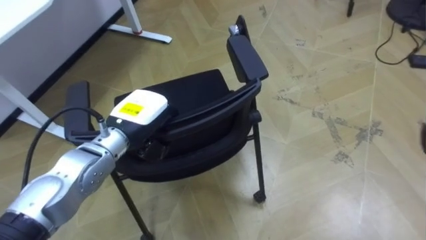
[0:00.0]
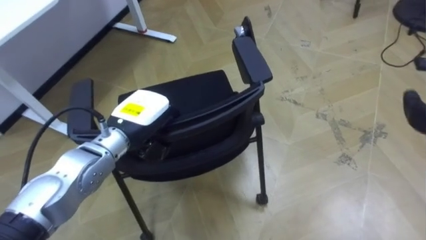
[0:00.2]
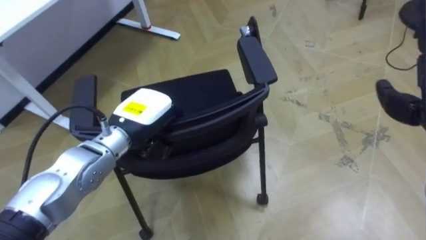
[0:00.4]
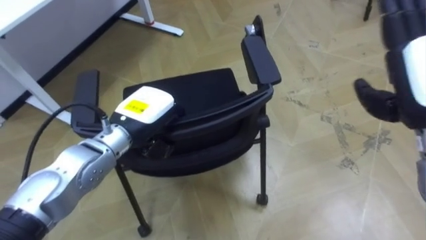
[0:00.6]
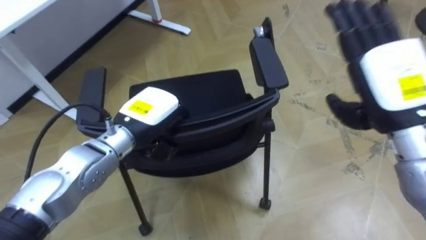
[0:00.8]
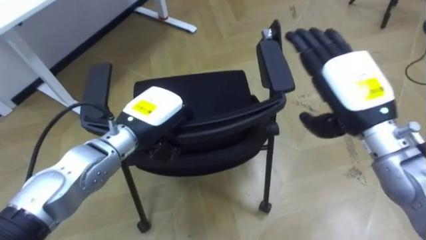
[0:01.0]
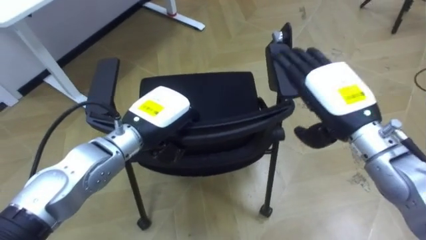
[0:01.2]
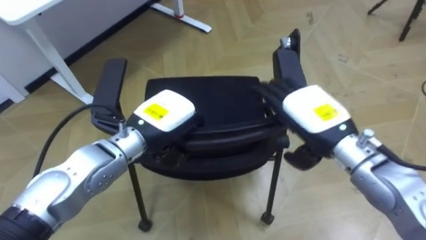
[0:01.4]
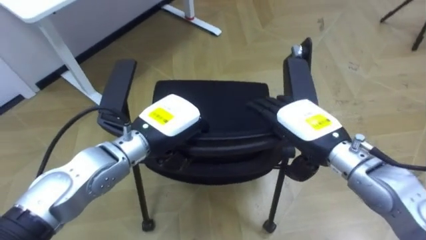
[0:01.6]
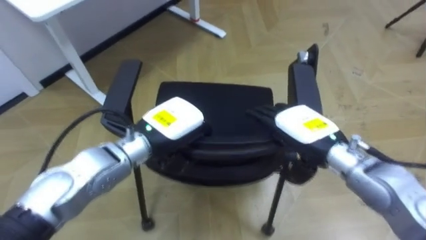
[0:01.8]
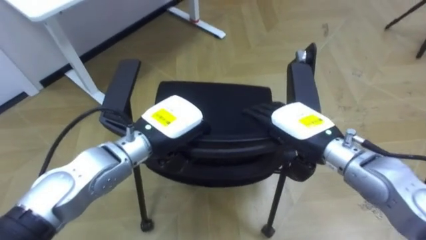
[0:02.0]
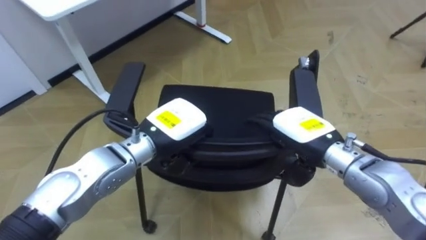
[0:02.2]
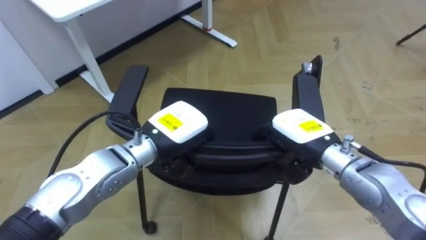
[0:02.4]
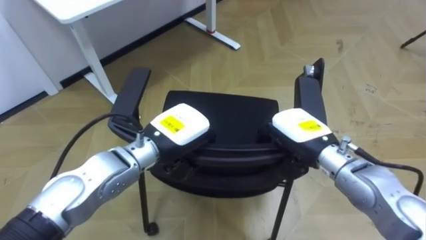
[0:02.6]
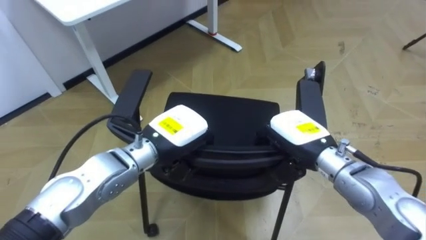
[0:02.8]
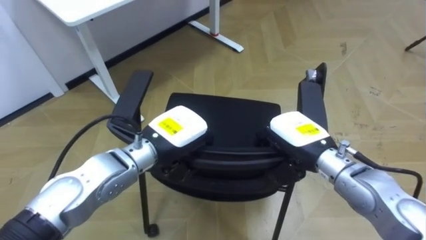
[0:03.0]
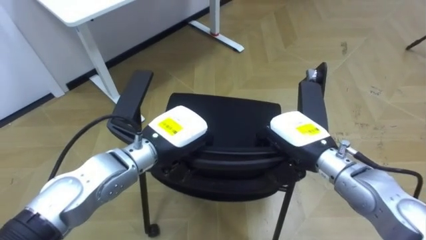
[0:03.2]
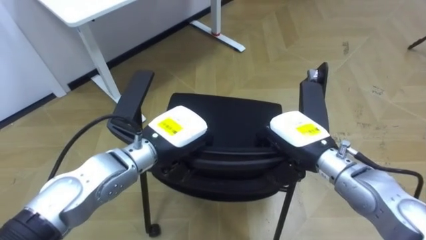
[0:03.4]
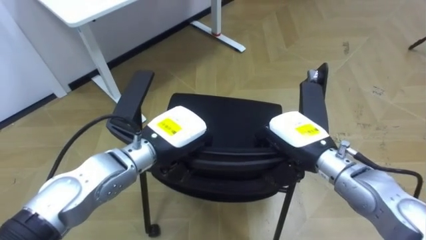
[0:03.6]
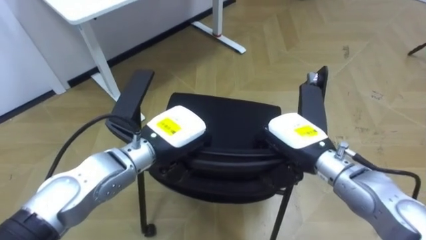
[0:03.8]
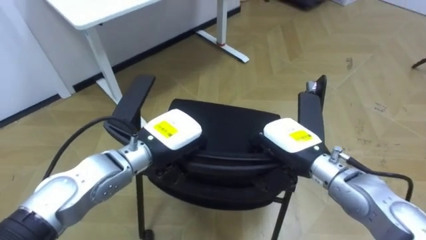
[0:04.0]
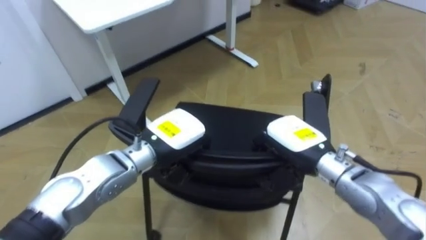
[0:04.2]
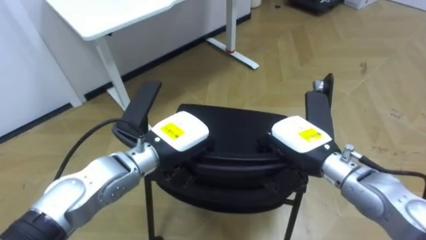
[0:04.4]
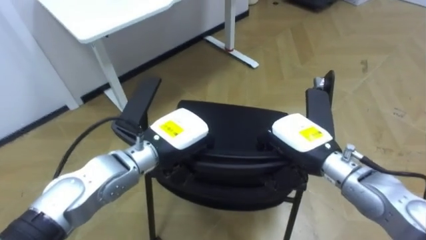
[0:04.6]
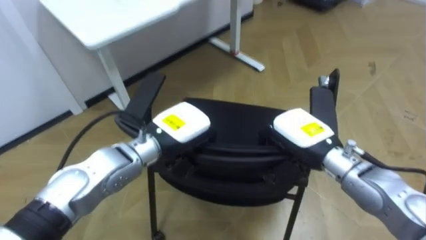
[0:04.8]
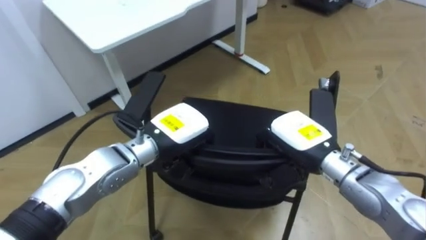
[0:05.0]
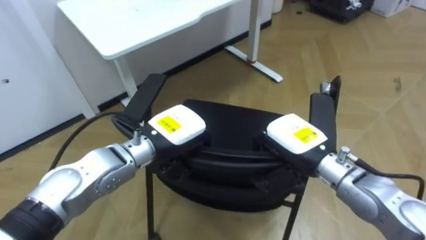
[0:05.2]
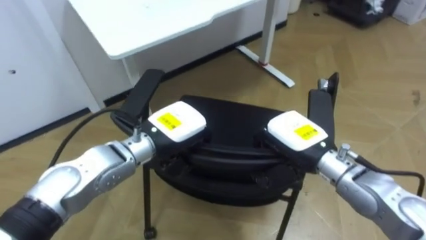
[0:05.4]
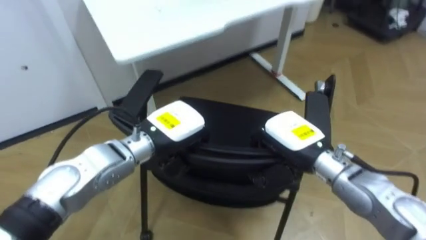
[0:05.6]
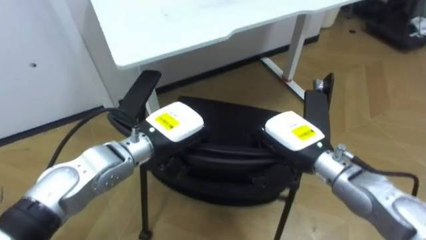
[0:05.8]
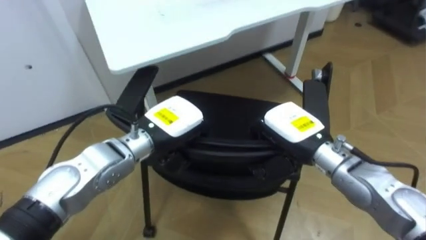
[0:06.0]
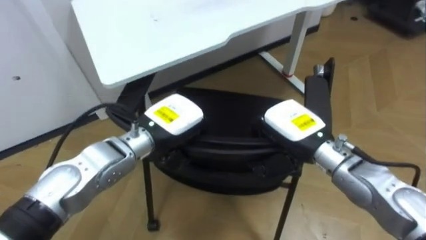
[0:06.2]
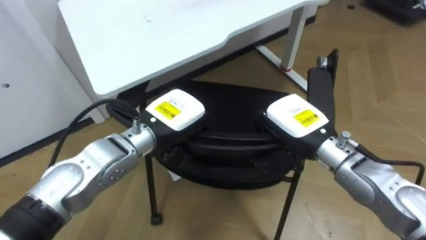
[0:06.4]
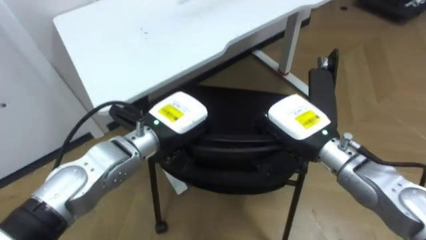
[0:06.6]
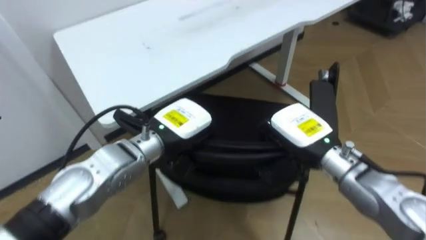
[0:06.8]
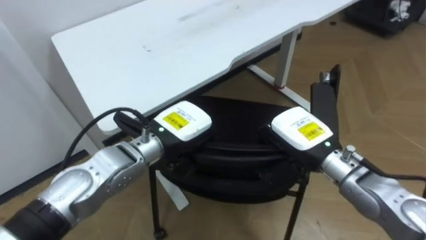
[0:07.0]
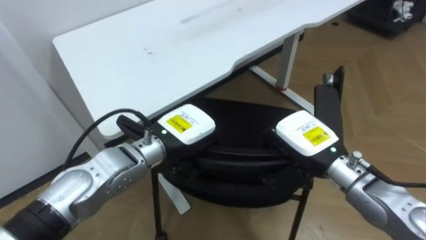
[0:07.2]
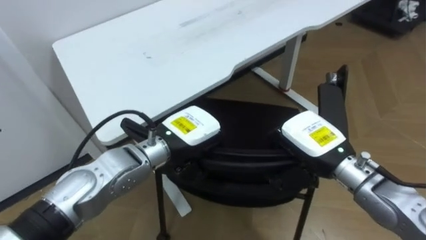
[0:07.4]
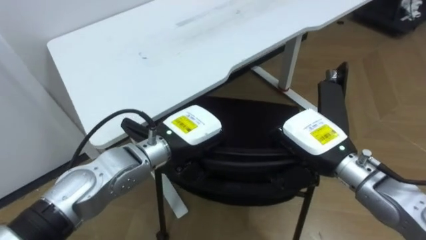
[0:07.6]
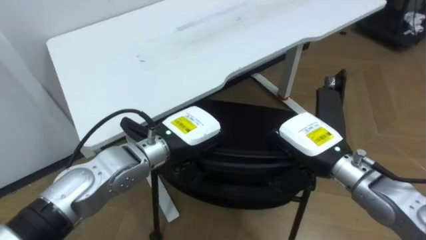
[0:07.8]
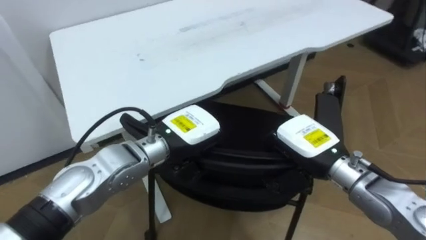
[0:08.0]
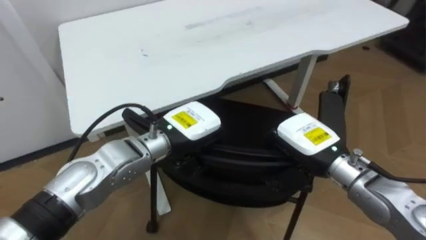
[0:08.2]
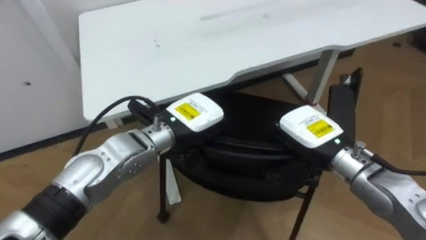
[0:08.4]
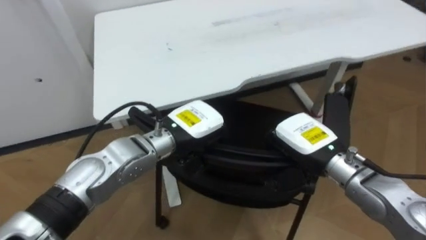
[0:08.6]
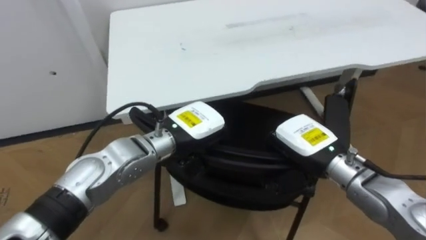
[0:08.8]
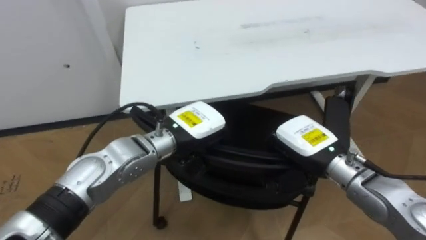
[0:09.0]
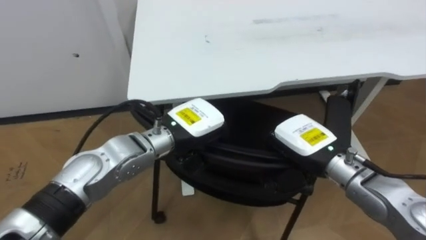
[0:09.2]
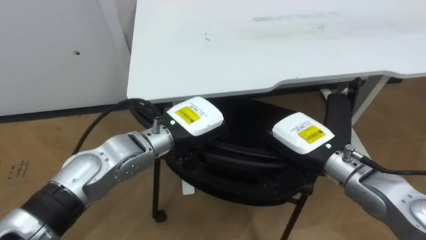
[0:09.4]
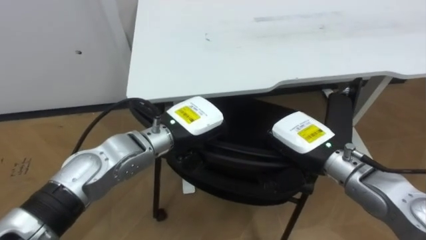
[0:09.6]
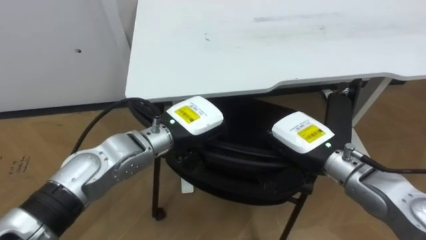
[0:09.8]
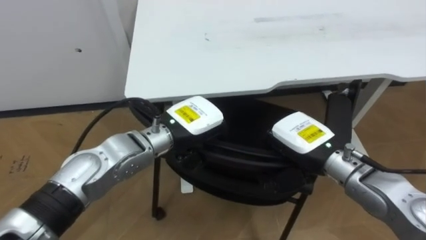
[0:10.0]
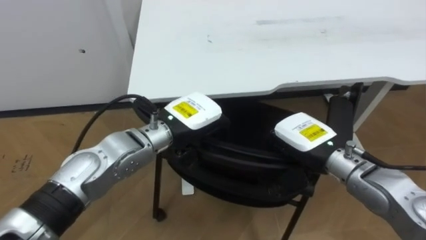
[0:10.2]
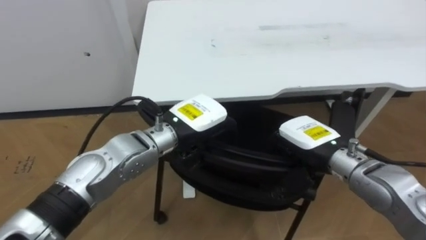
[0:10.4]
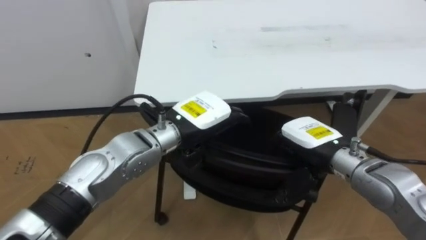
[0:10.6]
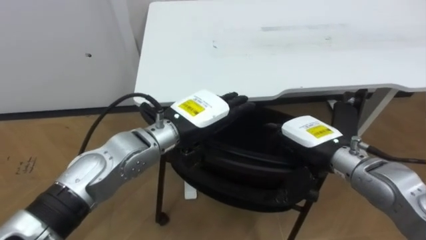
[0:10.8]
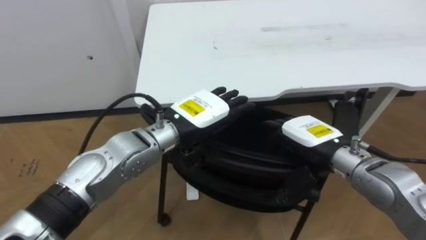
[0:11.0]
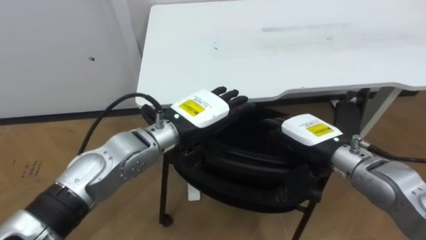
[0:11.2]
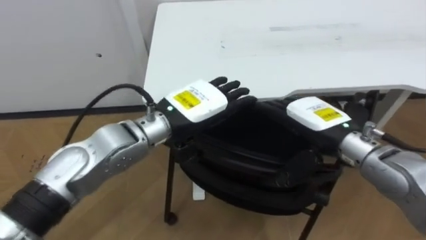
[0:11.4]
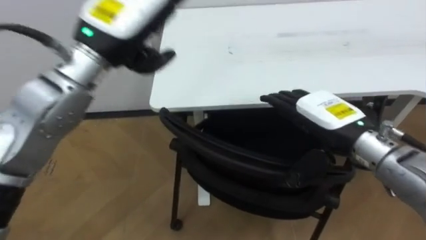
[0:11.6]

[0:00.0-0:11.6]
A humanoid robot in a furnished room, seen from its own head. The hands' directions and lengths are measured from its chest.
Task of the whole recording: Push the chair under the table.
0:01.4 to 0:02.8: The right hand heads downward, covering about 5 cm, and closes its fingers.
0:07.2 to 0:08.8: The robot faces roughly 20 degrees further to its left.
0:10.2 to 0:11.6: The left hand goes approximately 15 cm upward, and opens; the right hand changes place by roughly 5 cm, and opens.

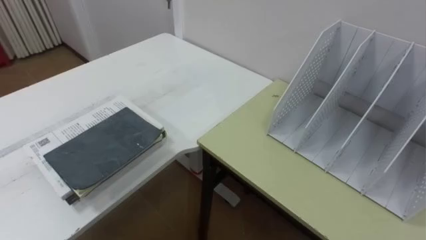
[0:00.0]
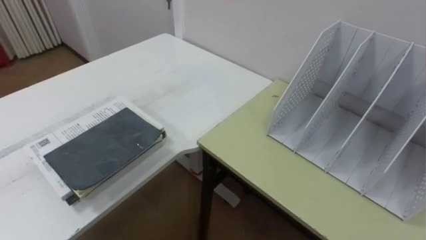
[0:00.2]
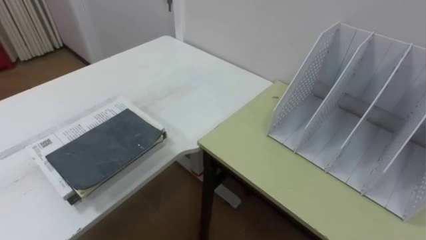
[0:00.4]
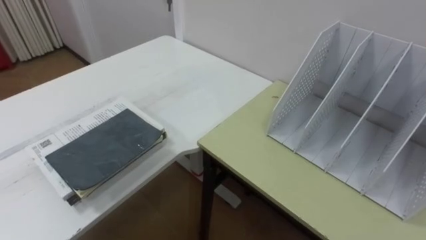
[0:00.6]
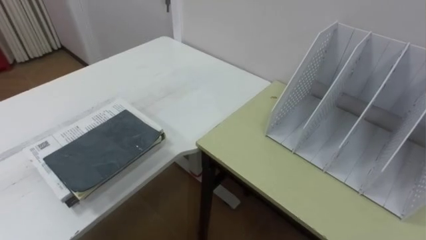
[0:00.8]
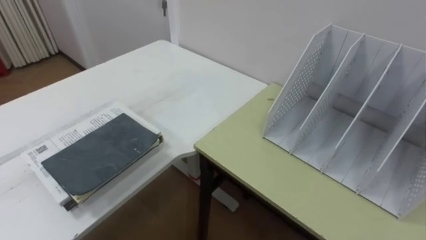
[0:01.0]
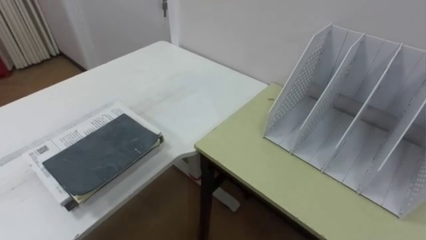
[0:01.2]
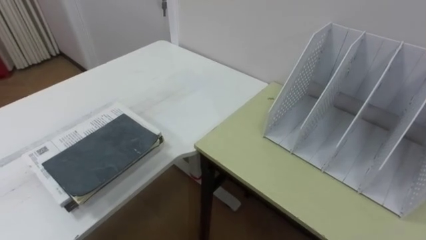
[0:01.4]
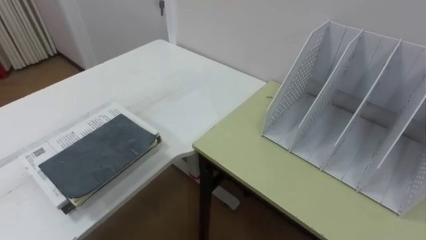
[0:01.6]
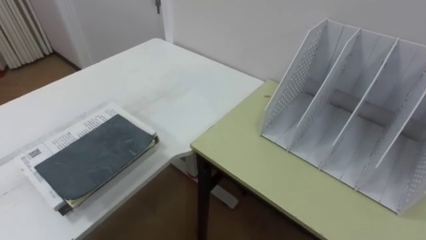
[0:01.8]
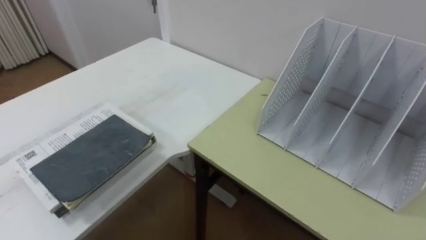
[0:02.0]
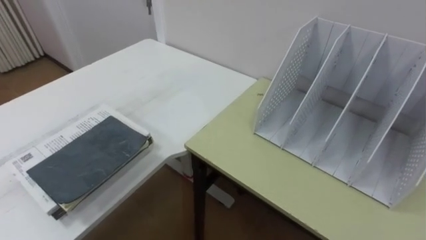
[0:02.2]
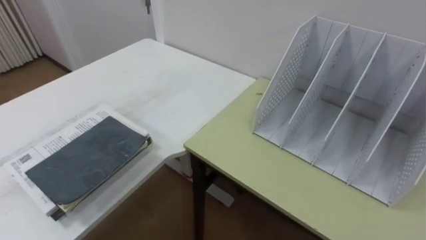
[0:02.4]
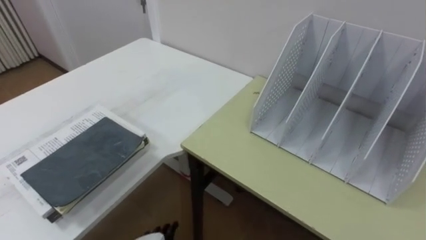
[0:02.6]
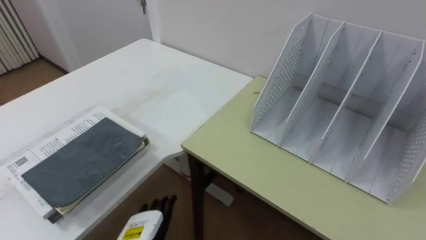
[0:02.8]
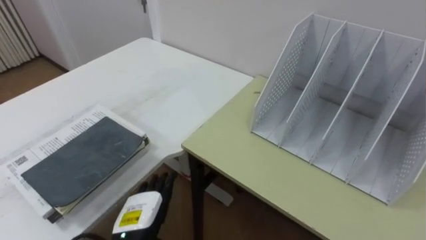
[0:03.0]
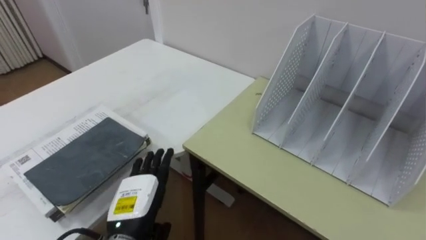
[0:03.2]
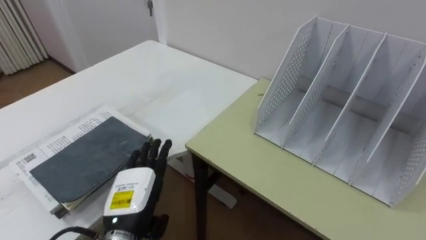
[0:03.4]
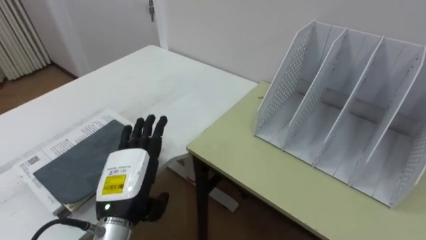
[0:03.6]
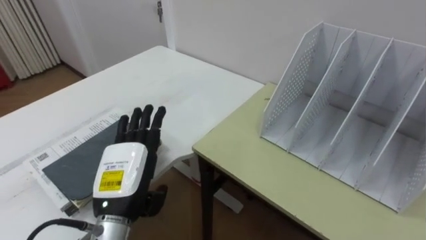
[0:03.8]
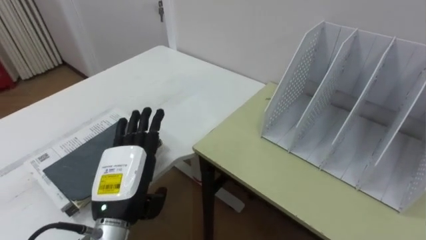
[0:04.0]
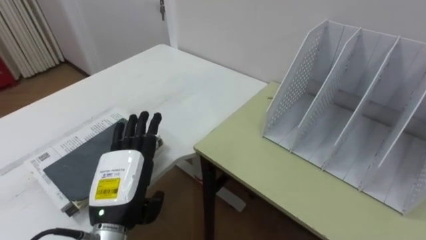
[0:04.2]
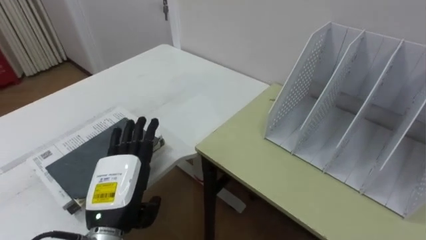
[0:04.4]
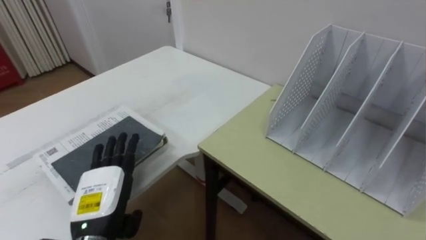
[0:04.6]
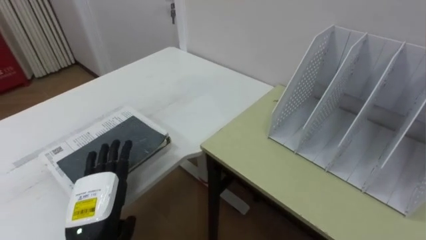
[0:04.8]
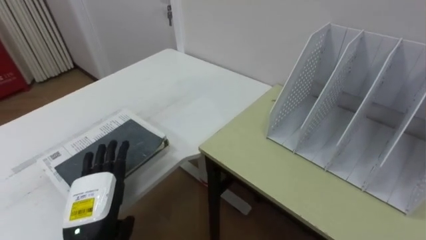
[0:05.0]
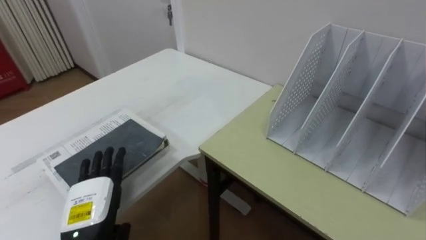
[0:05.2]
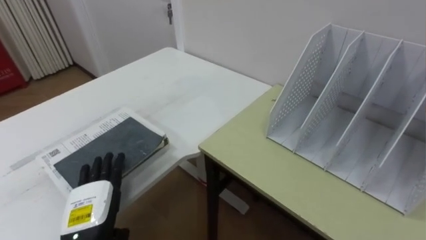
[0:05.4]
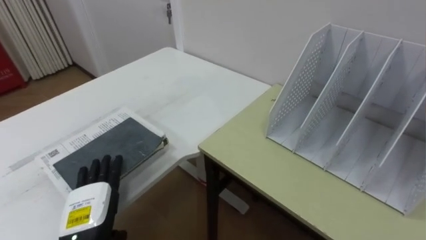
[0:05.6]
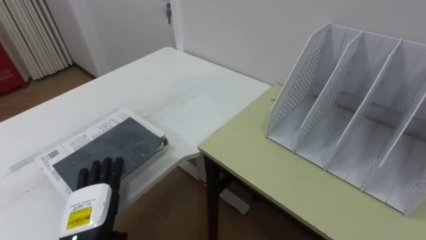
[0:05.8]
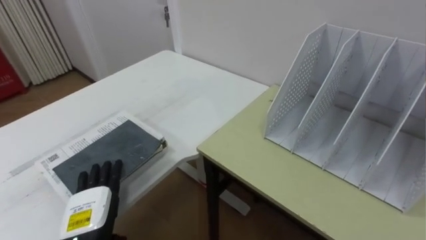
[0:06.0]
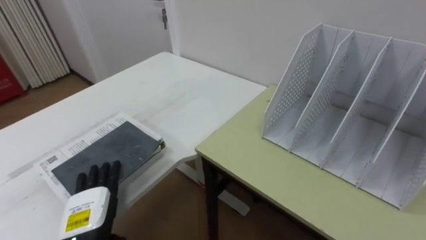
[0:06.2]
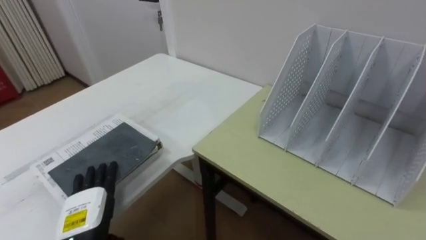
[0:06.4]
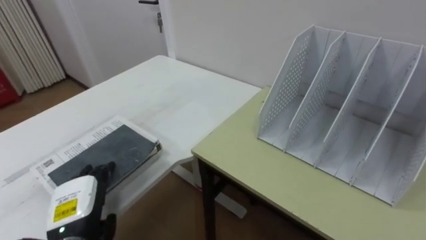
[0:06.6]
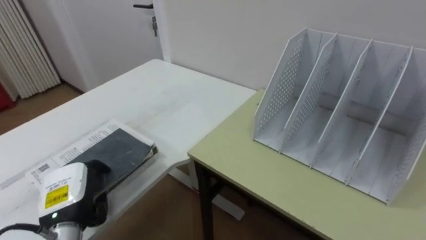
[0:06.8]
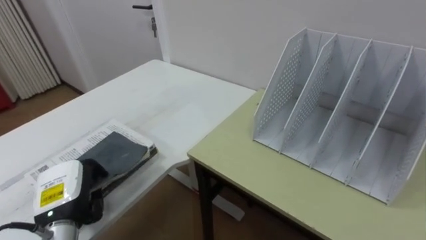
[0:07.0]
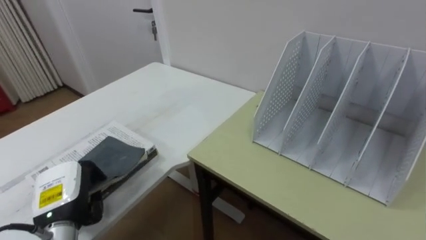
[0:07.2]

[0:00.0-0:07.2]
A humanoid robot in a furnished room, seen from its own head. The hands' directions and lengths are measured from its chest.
Task of the whole recording: Put the books on the table onto the bookshelf.
0:02.8 to 0:04.4: The left hand shifts approximately 15 cm upward.
0:04.4 to 0:05.8: The left hand is displaced downward and to the left by about 10 cm.
0:05.8 to 0:07.2: The left hand shifts by roughly 5 cm, and closes its fingers.
